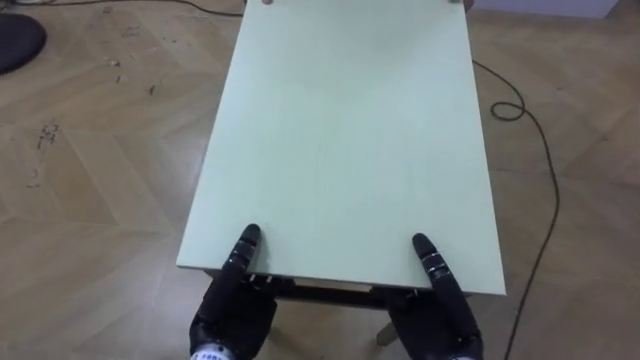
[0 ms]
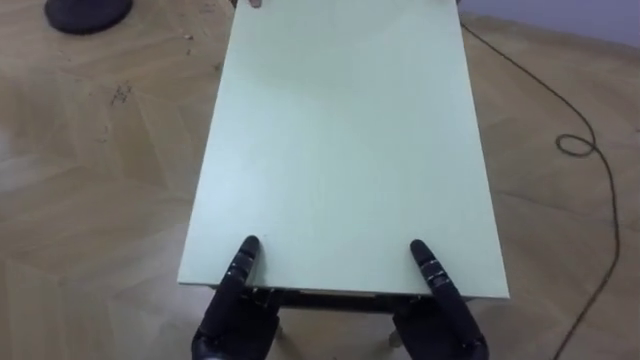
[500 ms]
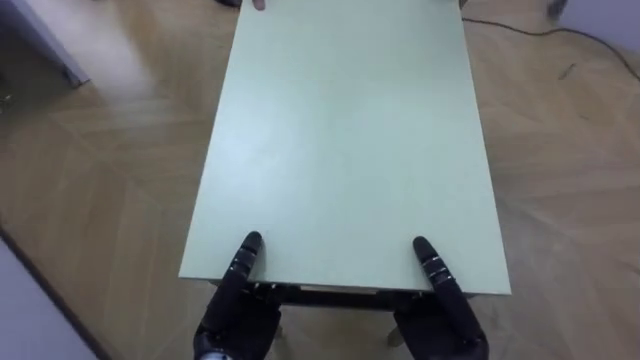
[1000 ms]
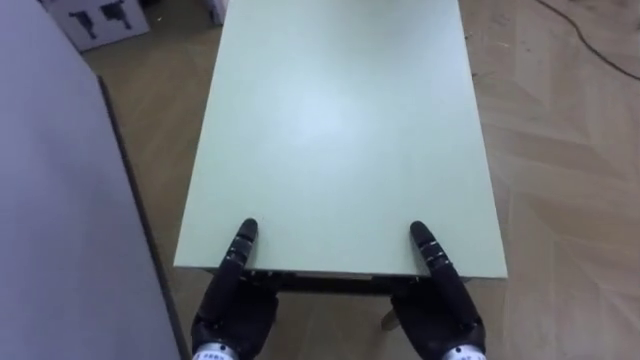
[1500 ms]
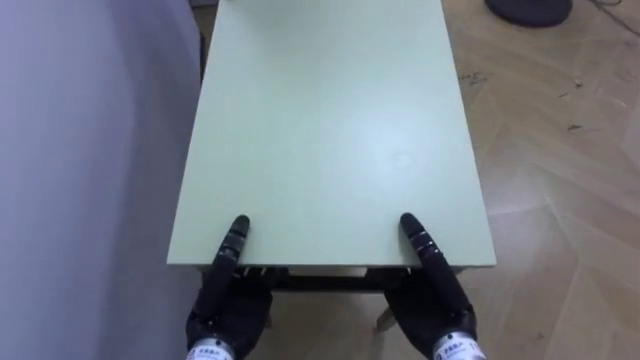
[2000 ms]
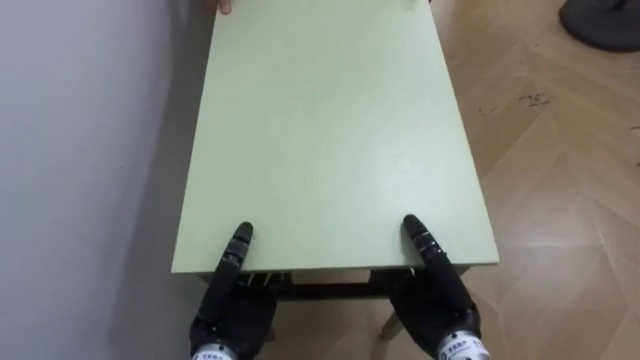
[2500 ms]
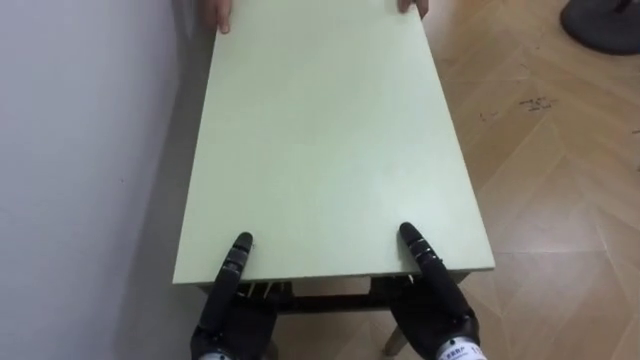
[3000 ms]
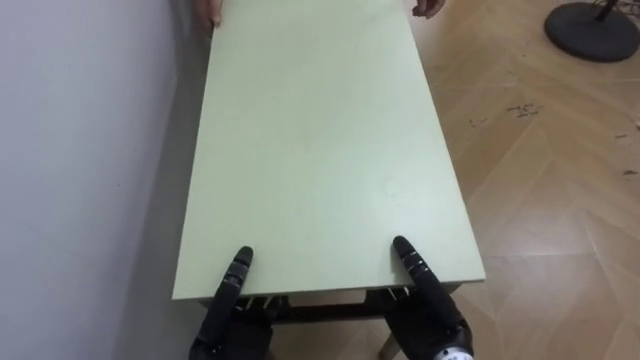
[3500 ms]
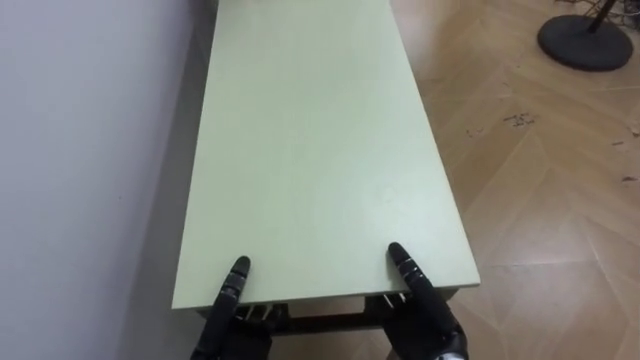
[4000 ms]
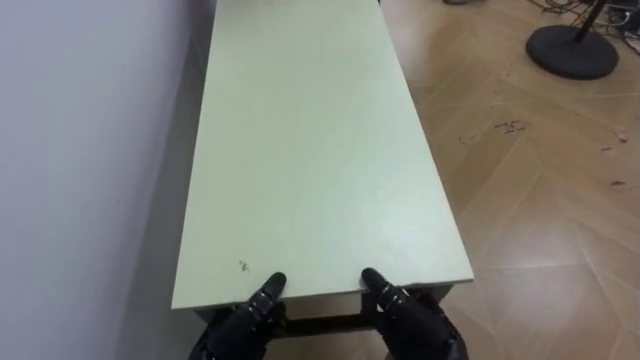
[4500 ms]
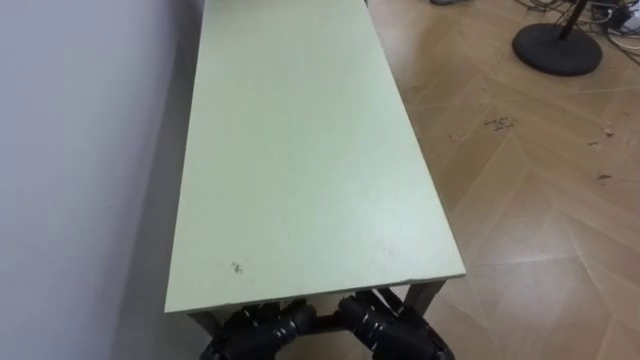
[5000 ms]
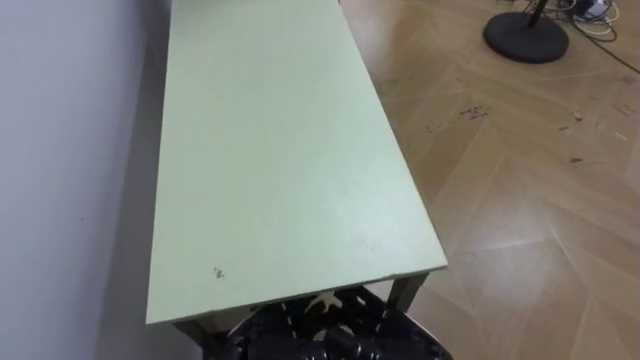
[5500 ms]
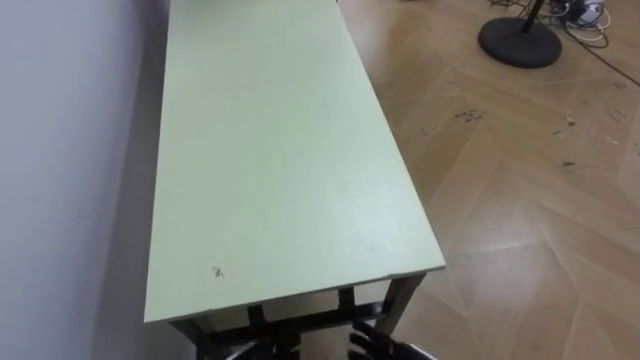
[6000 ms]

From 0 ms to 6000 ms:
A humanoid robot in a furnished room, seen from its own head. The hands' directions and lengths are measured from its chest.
Task of the whole recording: Move the table to the back left with someone.
From 0 ms to 2000 ms: The robot turns to its left by some 70 degrees.
From 2000 ms to 4000 ms: The left hand is displaced downward by roughly 5 cm.

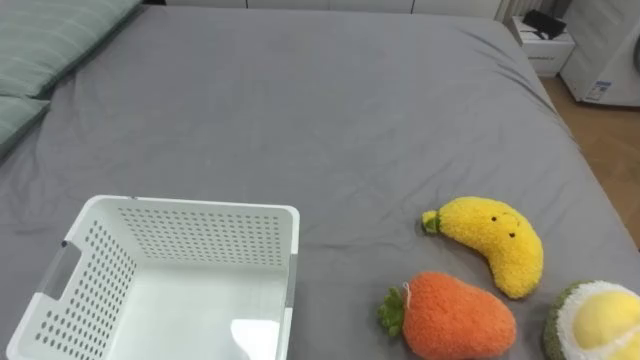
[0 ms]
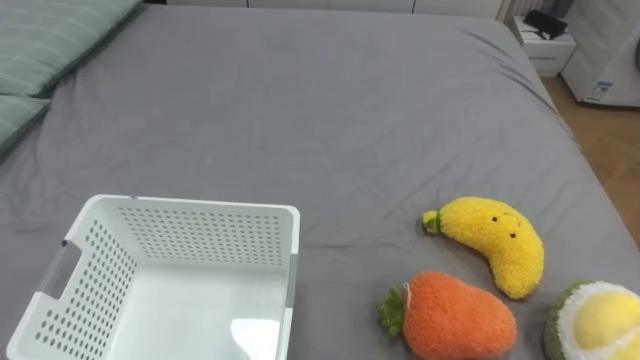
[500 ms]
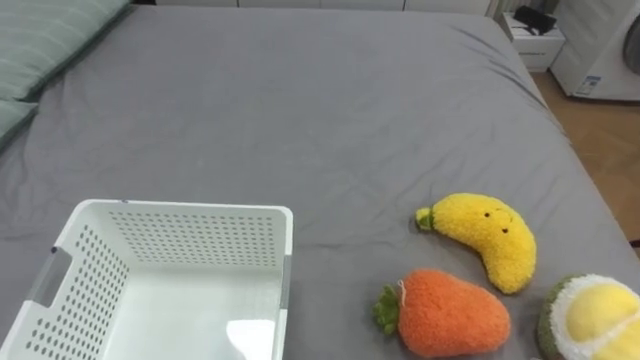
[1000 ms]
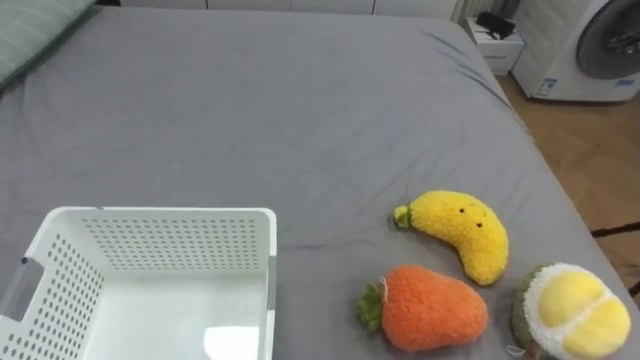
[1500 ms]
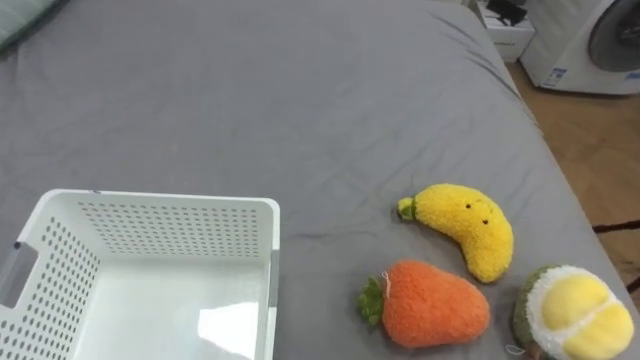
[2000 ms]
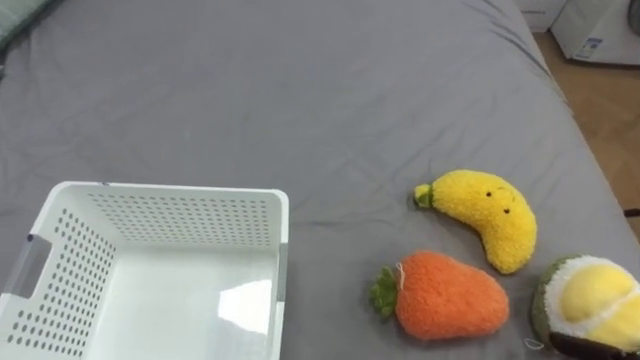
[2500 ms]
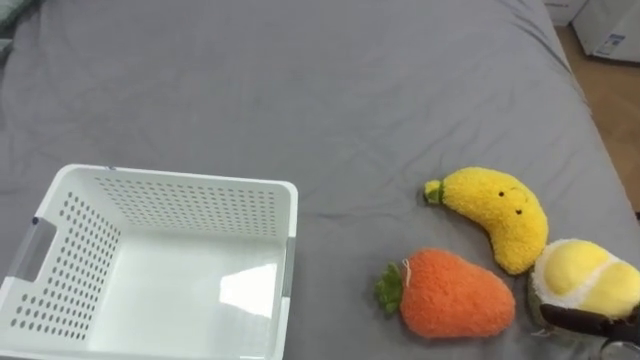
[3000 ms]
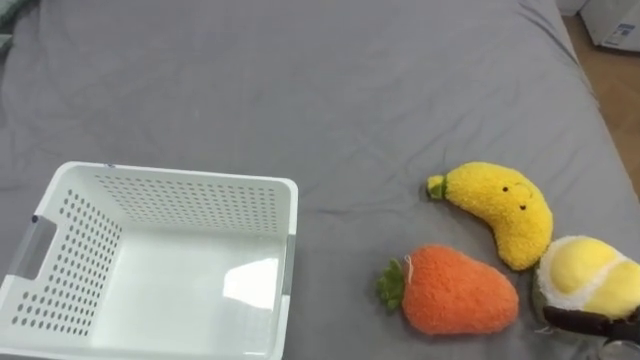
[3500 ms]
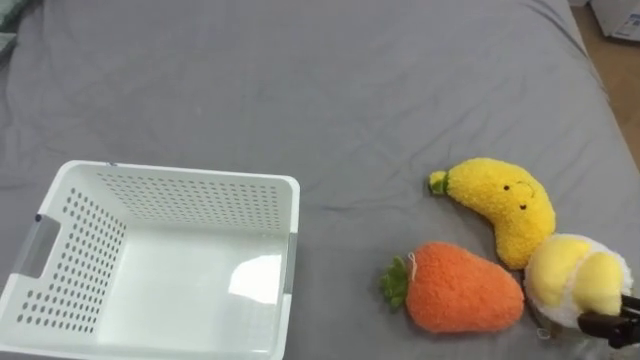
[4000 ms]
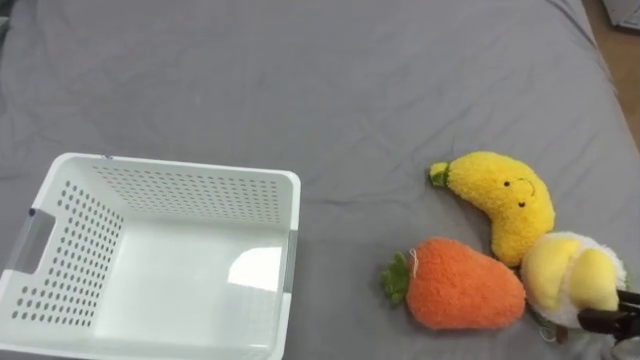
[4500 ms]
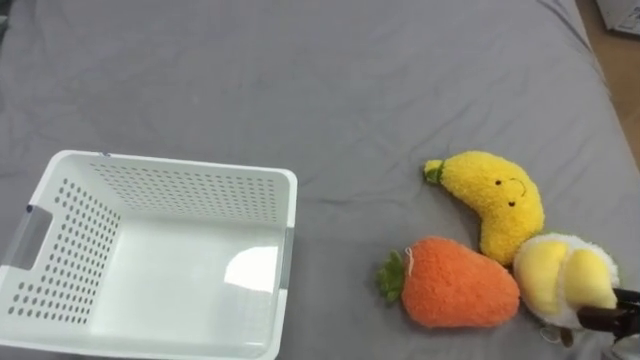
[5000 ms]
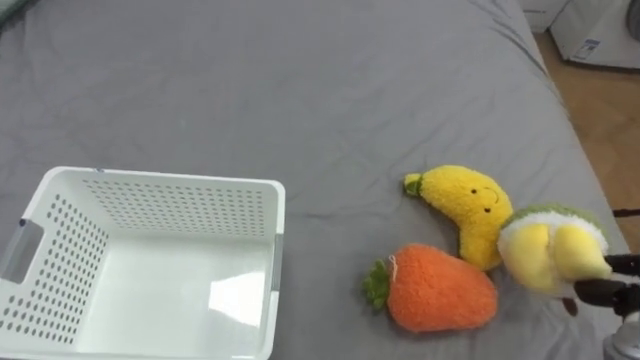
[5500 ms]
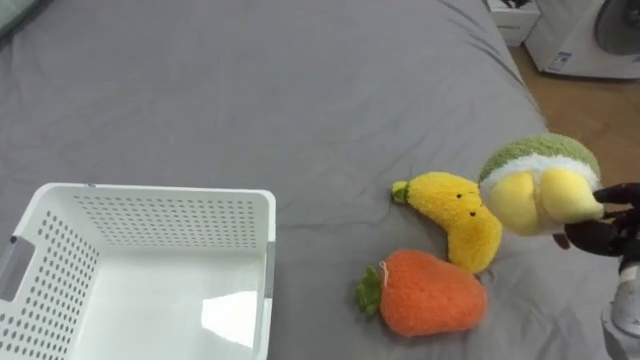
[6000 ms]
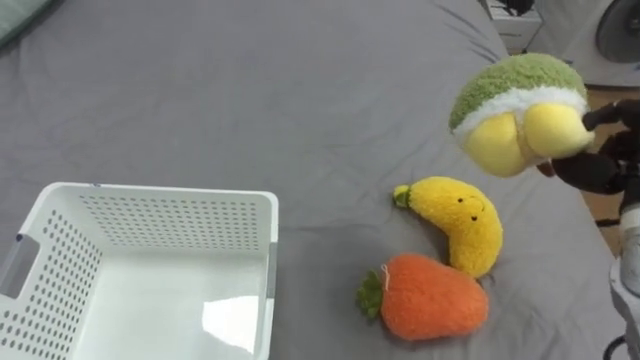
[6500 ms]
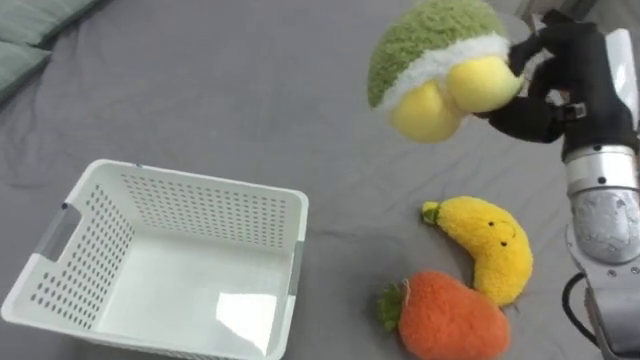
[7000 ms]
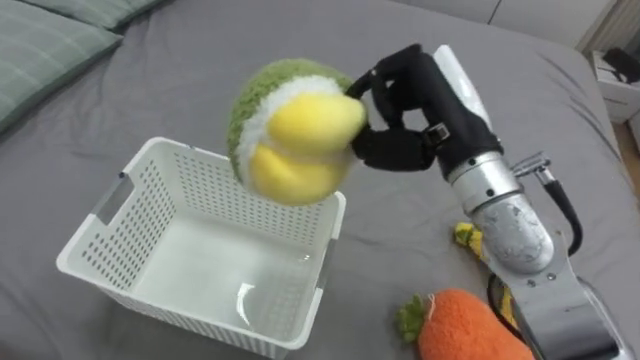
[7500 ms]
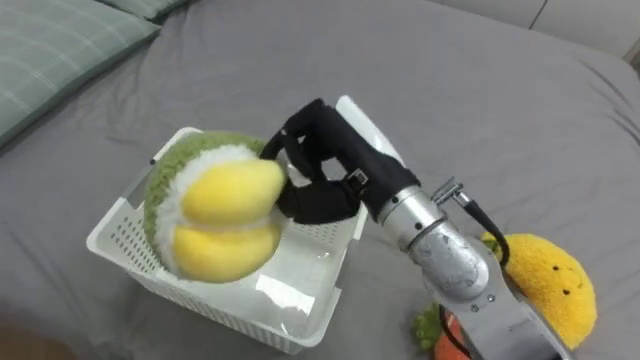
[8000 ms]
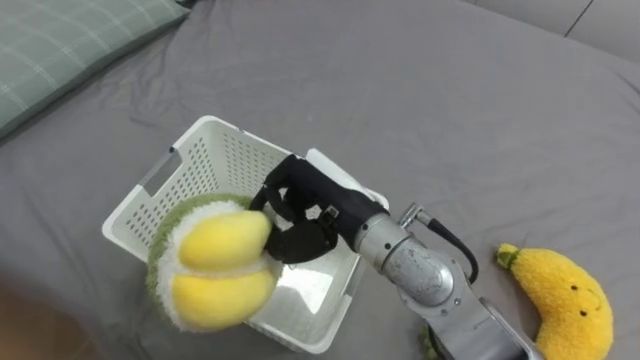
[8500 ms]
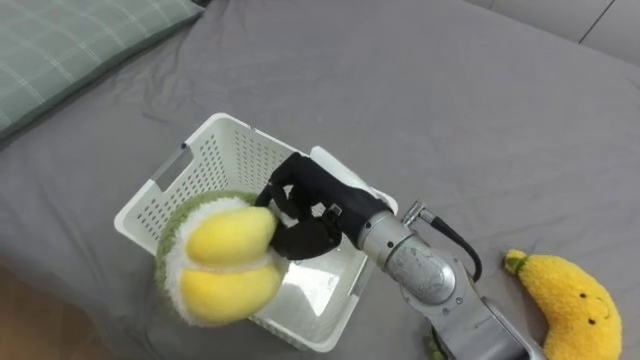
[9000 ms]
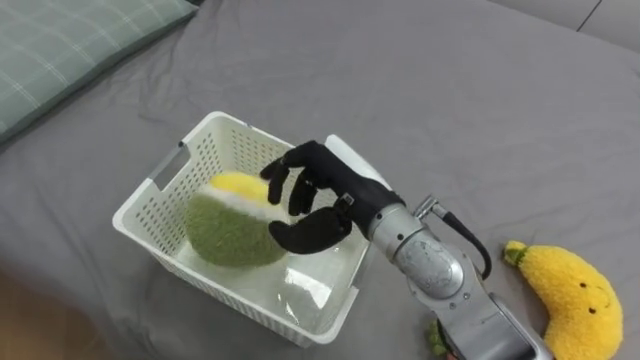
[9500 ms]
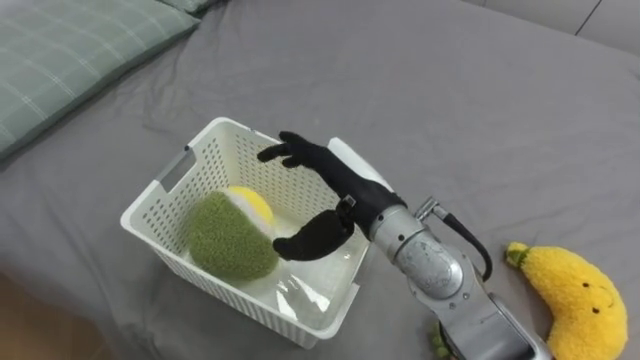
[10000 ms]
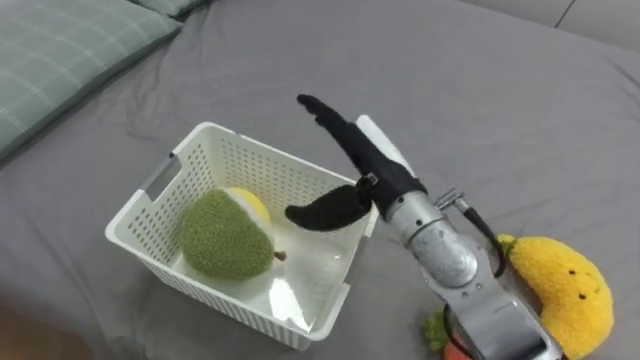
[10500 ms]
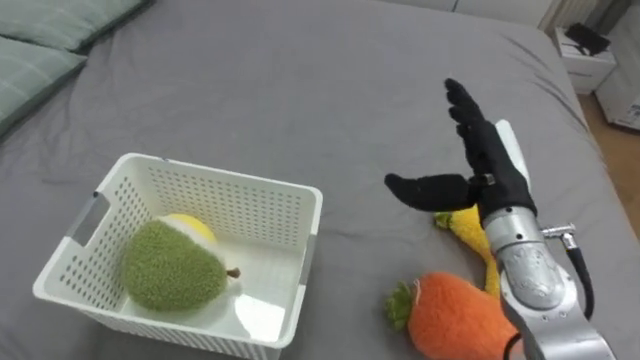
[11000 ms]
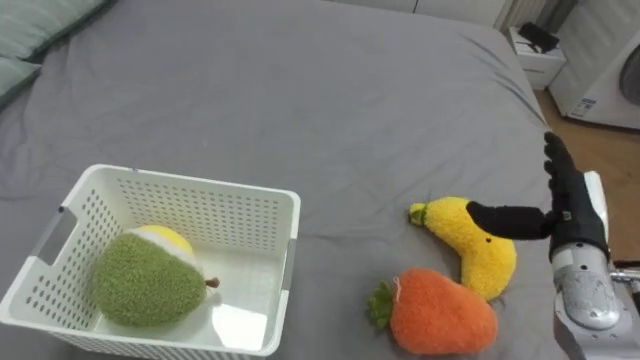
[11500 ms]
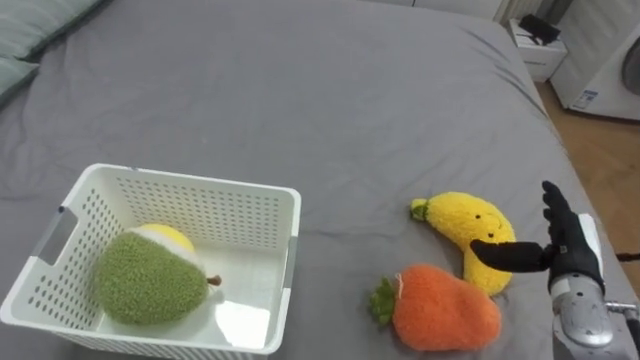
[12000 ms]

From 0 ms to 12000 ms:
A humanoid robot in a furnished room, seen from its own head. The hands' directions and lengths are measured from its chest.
Task of the whole recording: Put the toys on the bed into the basket on the left.
From 8000 ms to 10000 ms: The right hand travels downward by approximately 5 cm, and opens.
From 10000 ms to 12000 ms: The right hand travels to the right by approximately 30 cm.

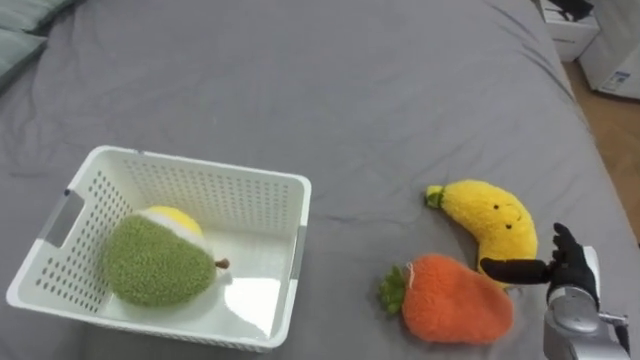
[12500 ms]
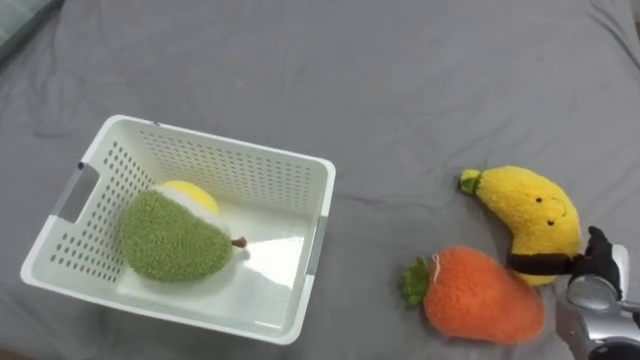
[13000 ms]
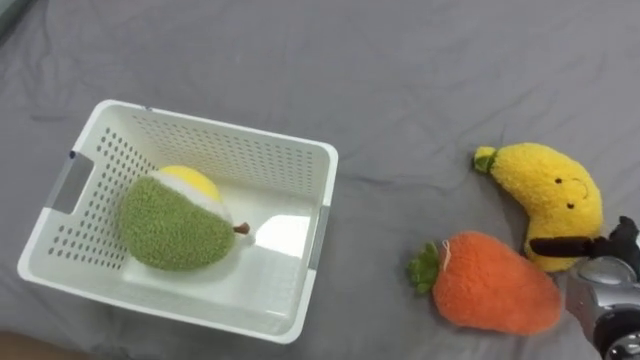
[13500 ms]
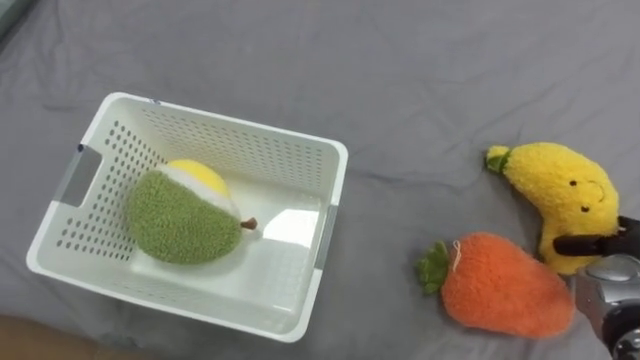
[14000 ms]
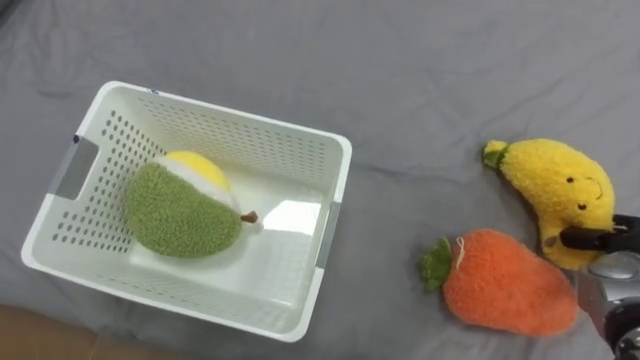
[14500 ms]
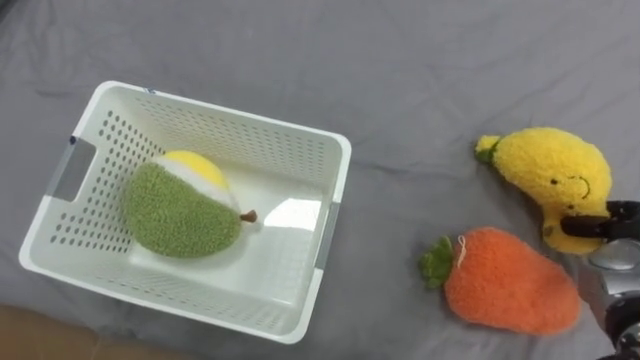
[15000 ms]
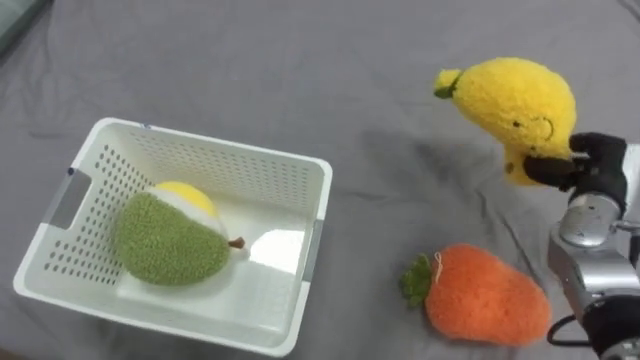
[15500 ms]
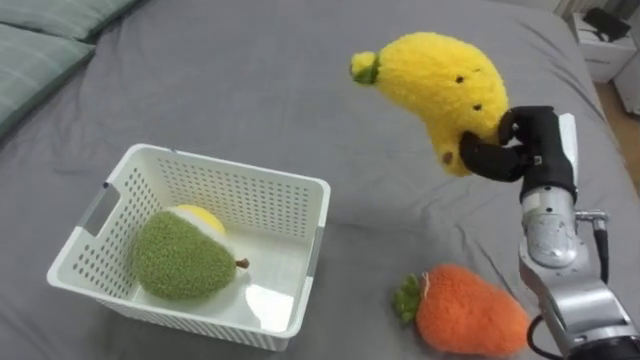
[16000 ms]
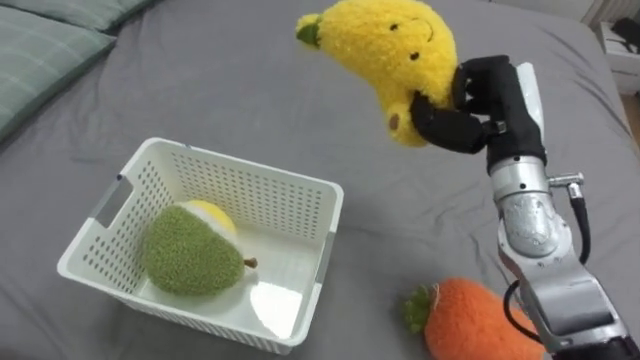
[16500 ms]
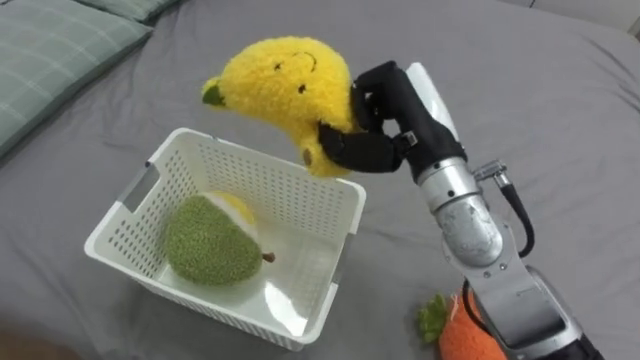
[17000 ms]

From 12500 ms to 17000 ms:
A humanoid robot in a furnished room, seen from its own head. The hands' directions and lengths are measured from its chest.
Task of the whole recording: Put the toys on the bed into the basket on the left.
From 12500 ms to 14500 ms: The right hand moves to the right, about 5 cm, and closes up.
From 14500 ms to 17000 ms: The right hand moves to the left and upward, some 35 cm.
